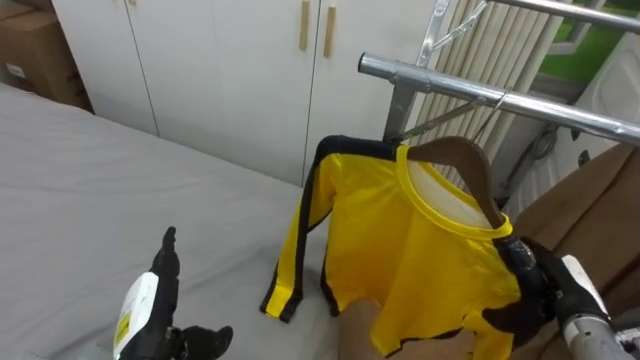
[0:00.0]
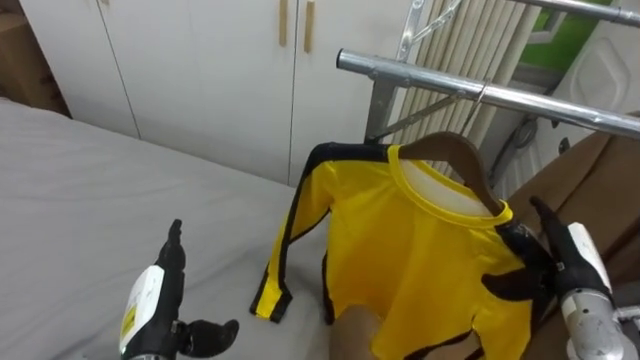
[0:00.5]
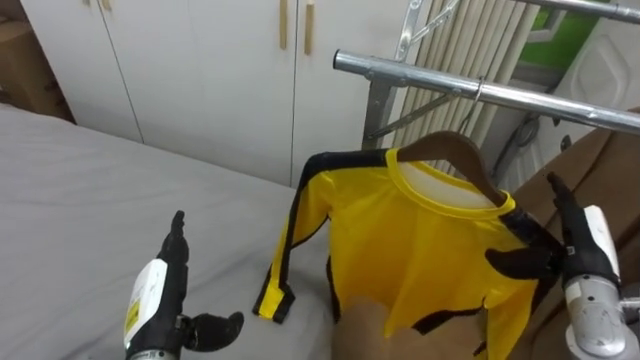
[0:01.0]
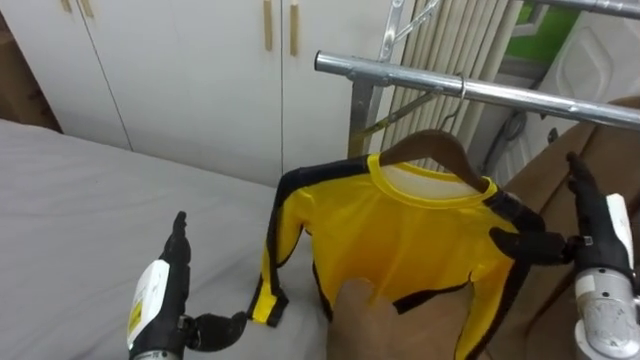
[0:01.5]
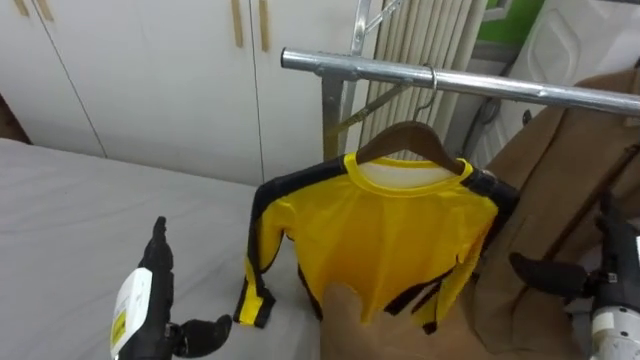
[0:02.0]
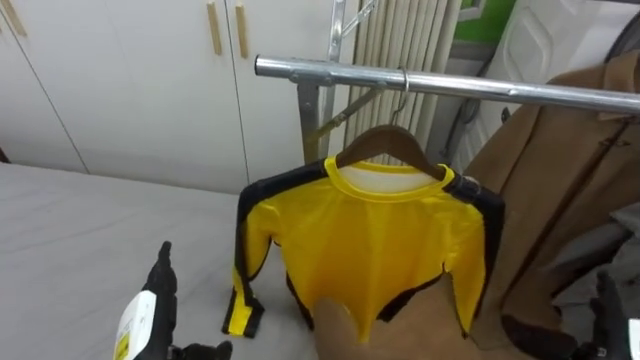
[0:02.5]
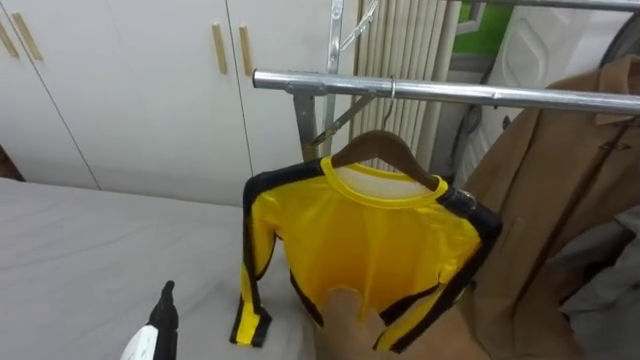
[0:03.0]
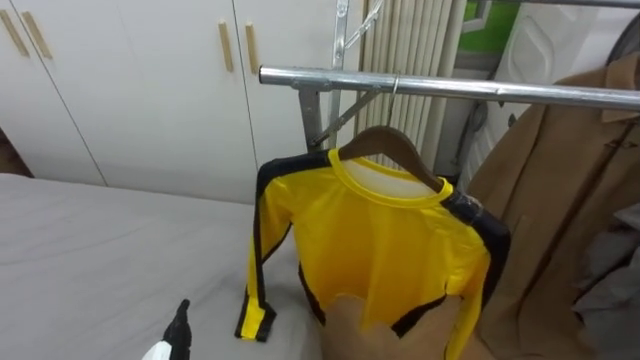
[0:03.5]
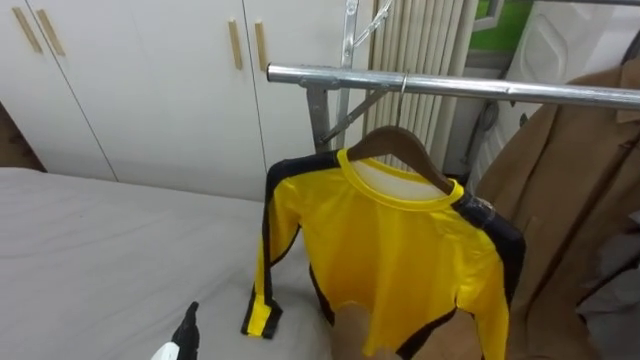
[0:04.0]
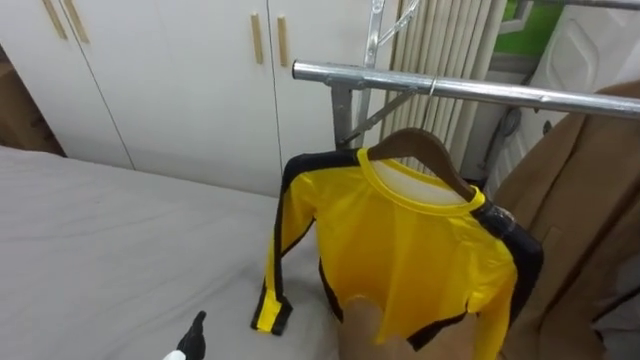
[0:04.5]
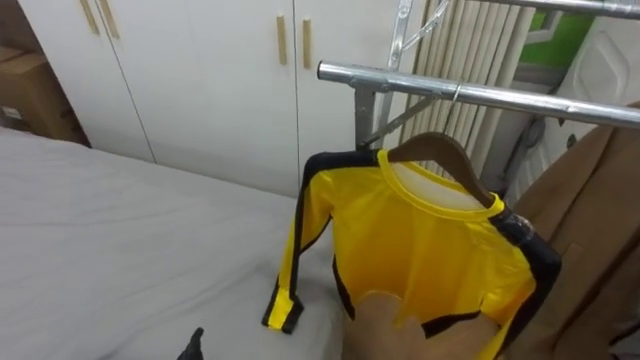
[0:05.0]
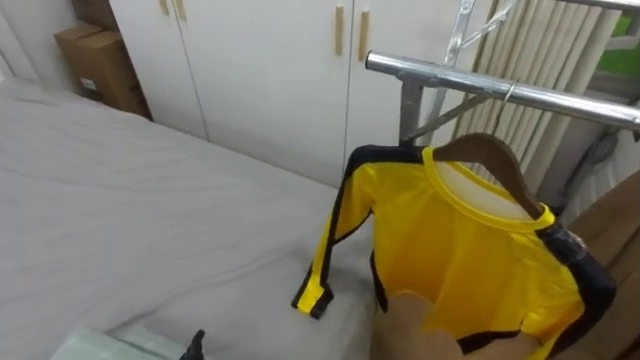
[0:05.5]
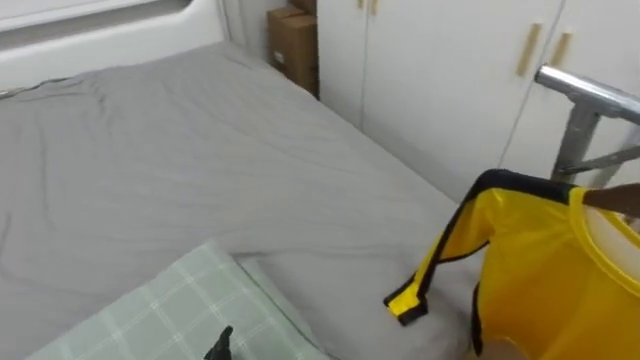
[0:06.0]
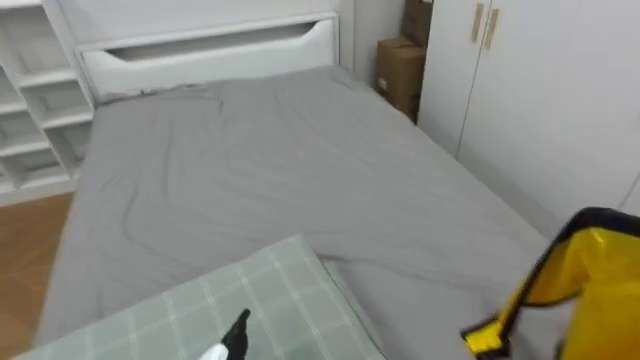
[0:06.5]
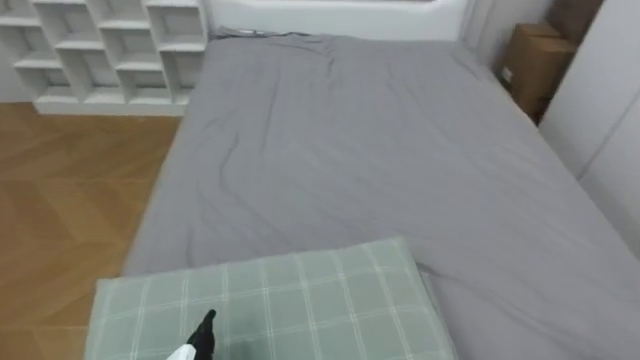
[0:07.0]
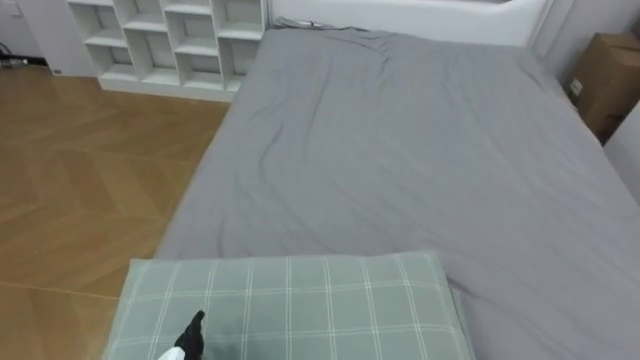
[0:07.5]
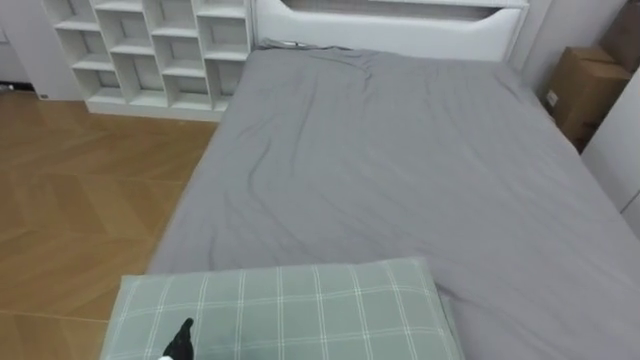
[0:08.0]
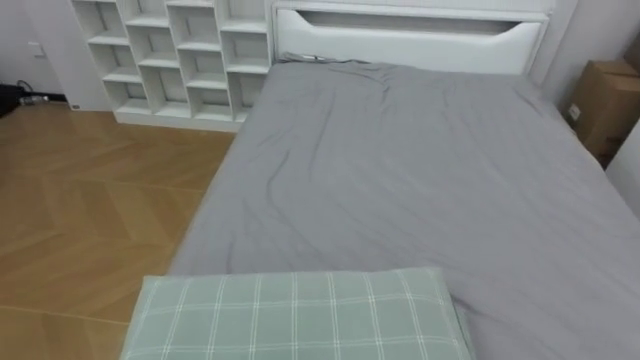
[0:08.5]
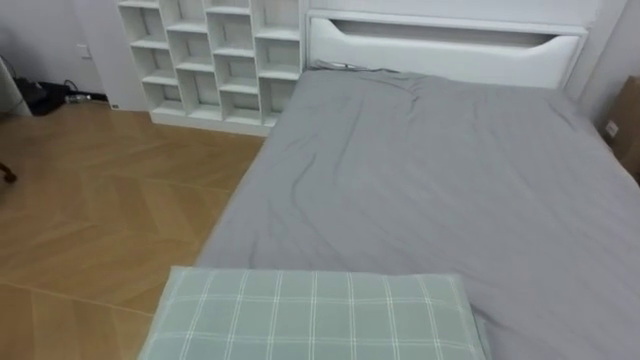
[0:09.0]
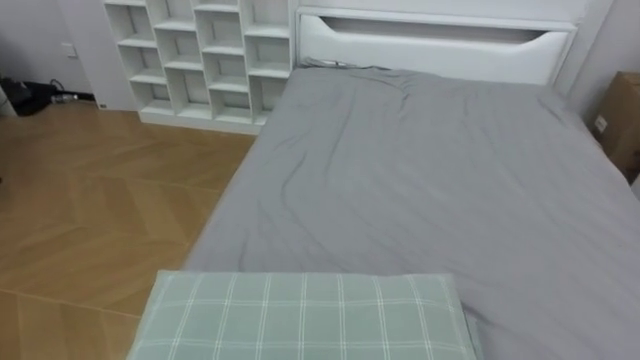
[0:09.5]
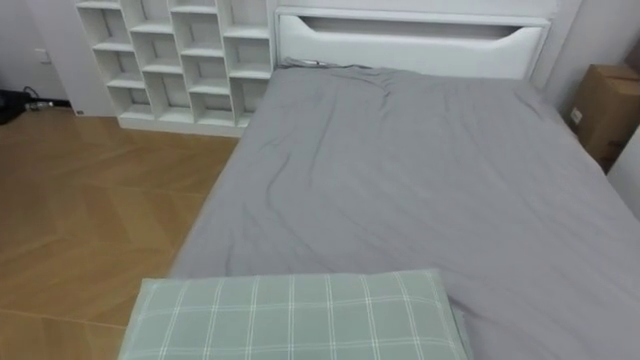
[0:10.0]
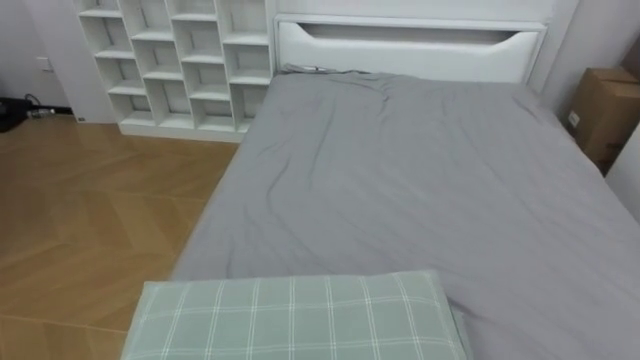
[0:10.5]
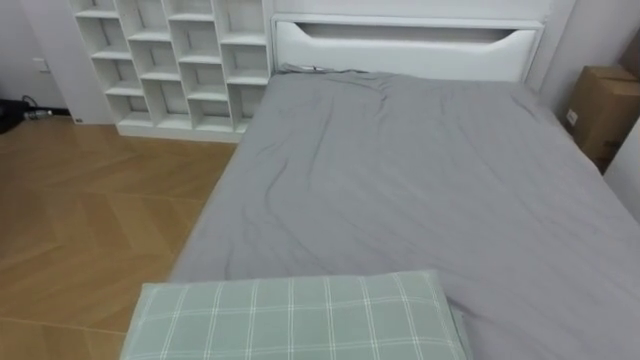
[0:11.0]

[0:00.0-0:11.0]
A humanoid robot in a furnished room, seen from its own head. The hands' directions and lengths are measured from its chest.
Task of the whole recording: Pick up the yellow shirt on the bed and hang it on the clothes rack on the right.
0:00.0 to 0:02.0: The right hand heads upward, covering approximately 5 cm.
0:05.5 to 0:07.5: The robot rotates about 70 degrees to its left.

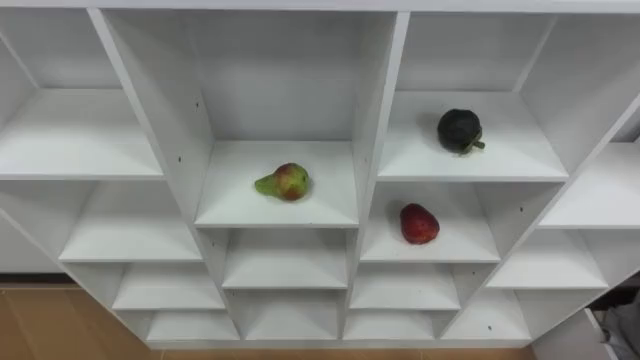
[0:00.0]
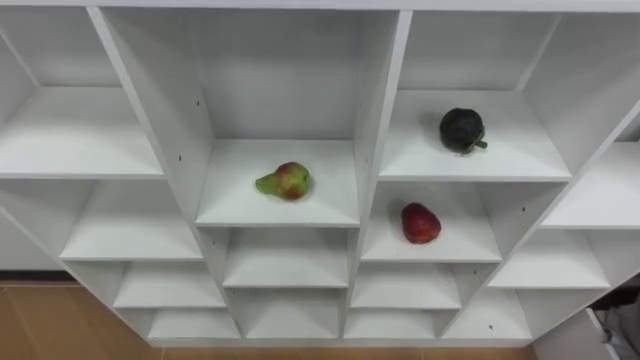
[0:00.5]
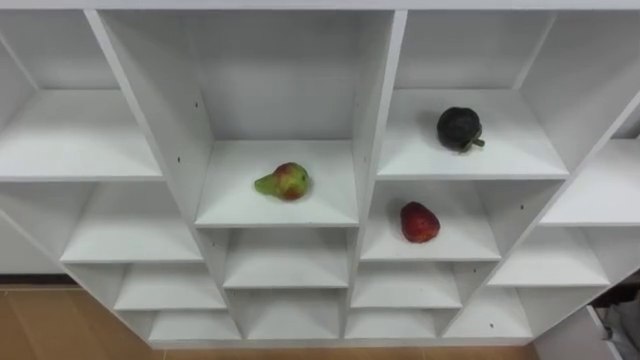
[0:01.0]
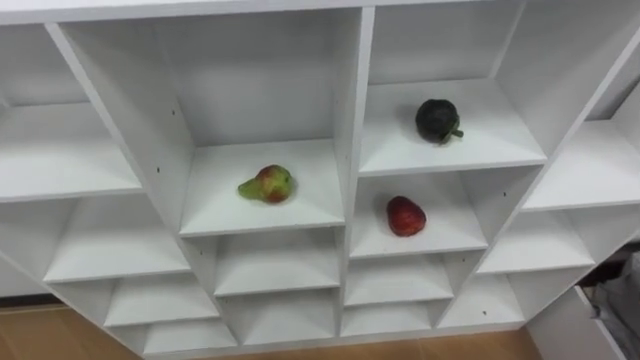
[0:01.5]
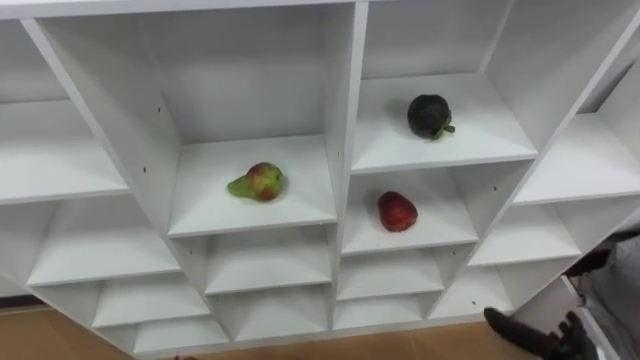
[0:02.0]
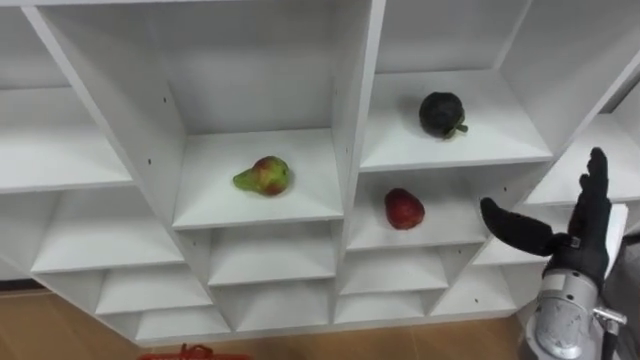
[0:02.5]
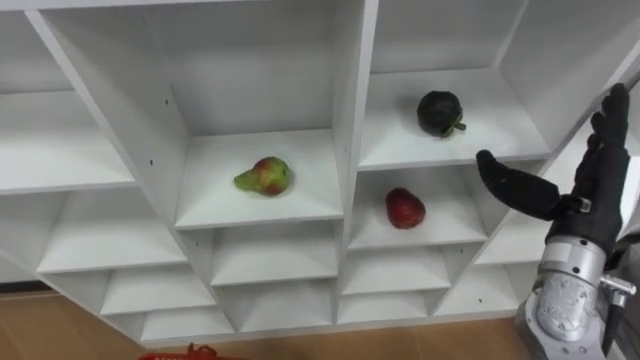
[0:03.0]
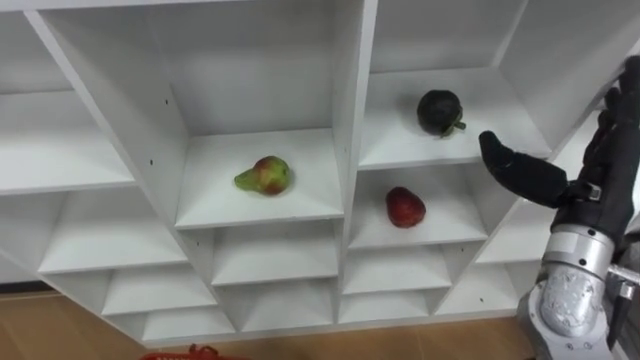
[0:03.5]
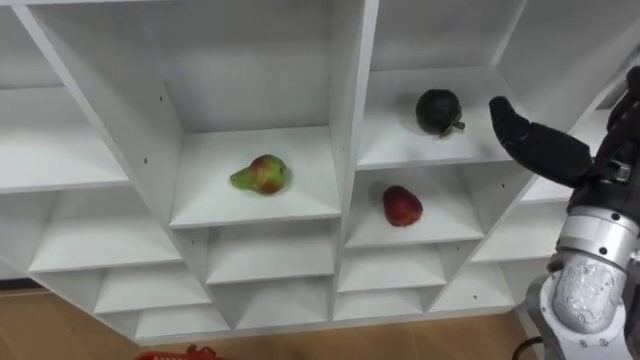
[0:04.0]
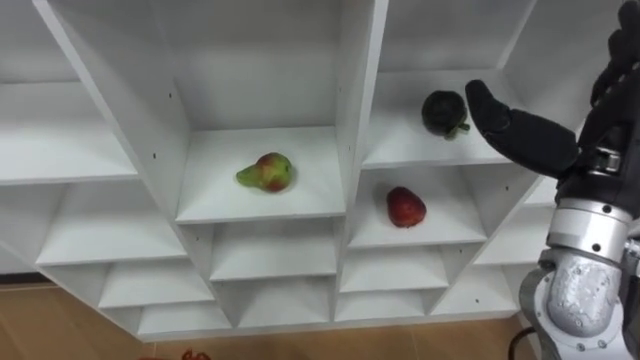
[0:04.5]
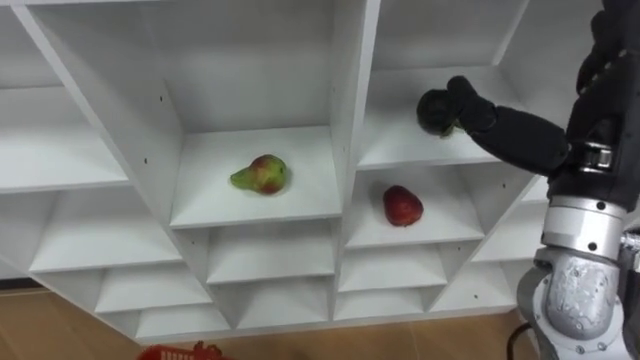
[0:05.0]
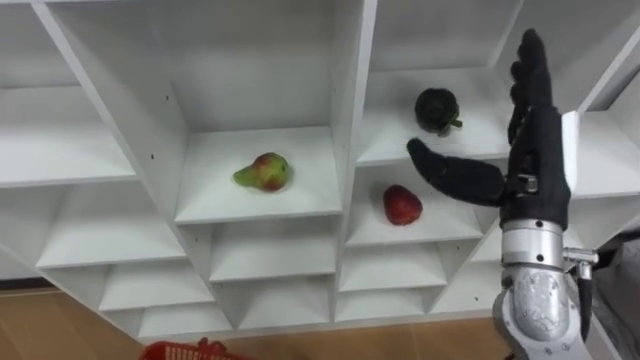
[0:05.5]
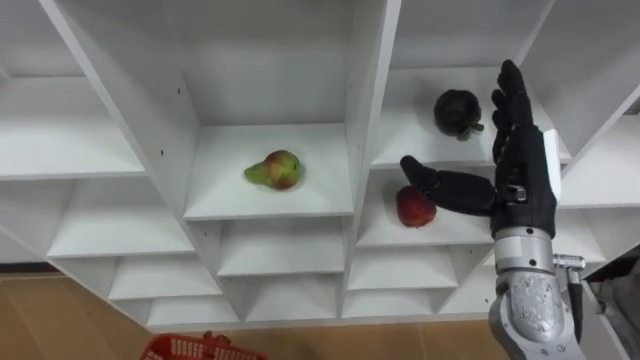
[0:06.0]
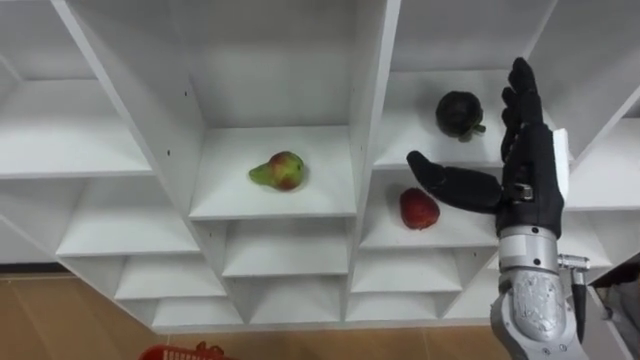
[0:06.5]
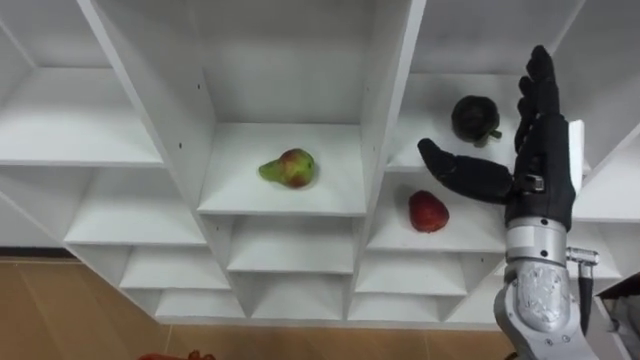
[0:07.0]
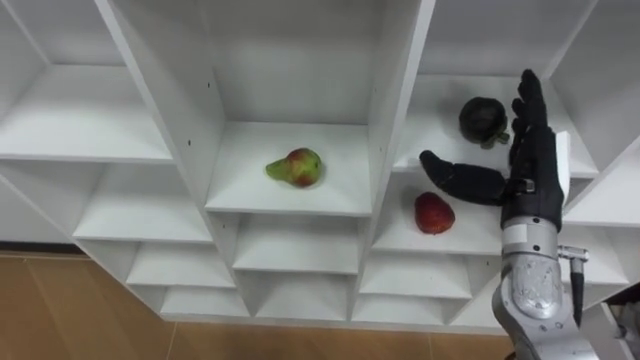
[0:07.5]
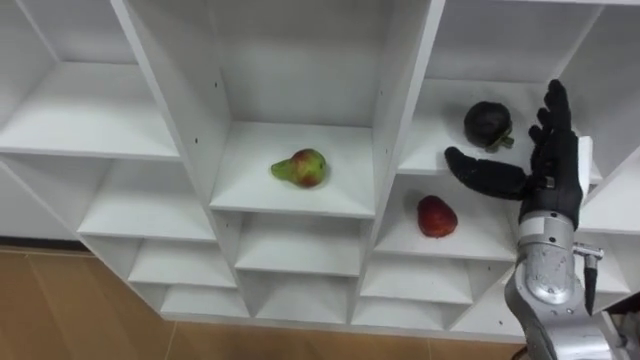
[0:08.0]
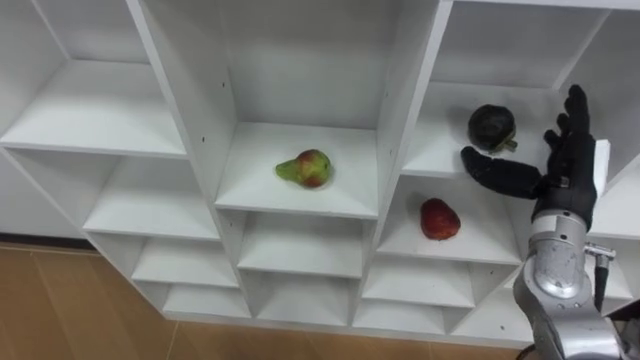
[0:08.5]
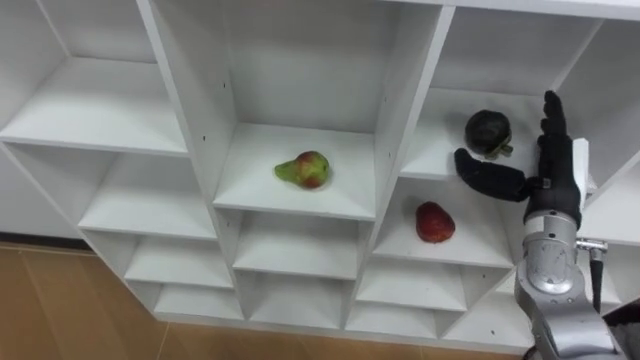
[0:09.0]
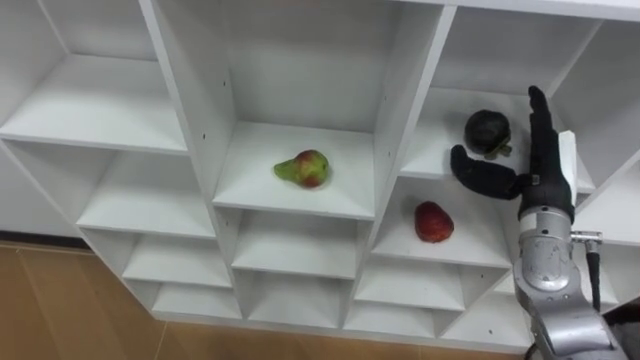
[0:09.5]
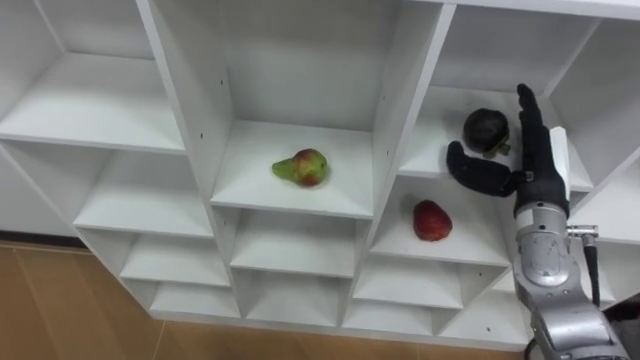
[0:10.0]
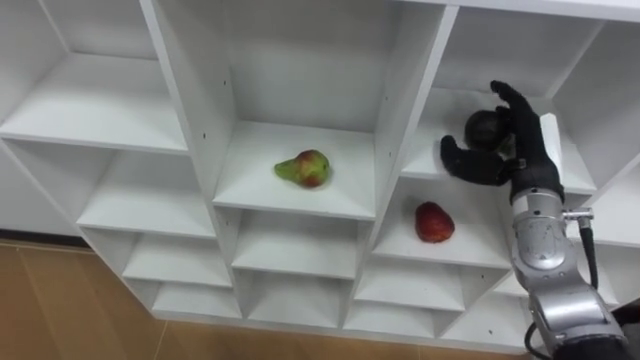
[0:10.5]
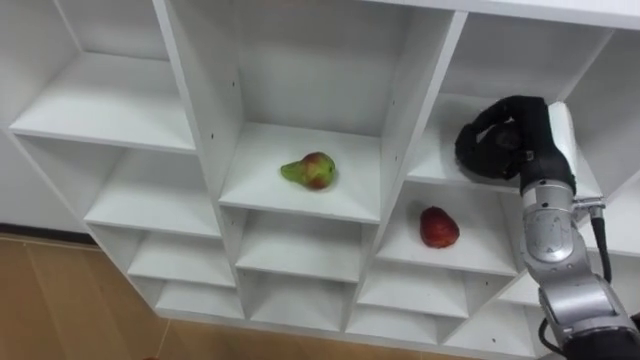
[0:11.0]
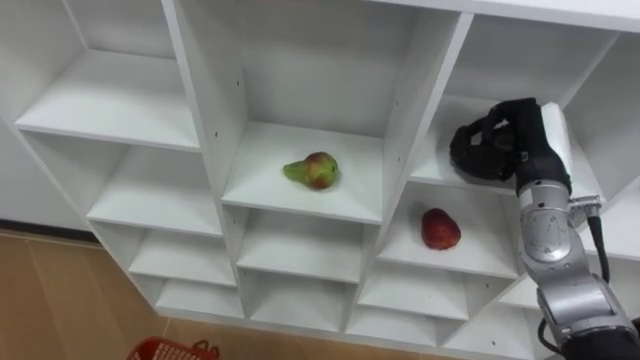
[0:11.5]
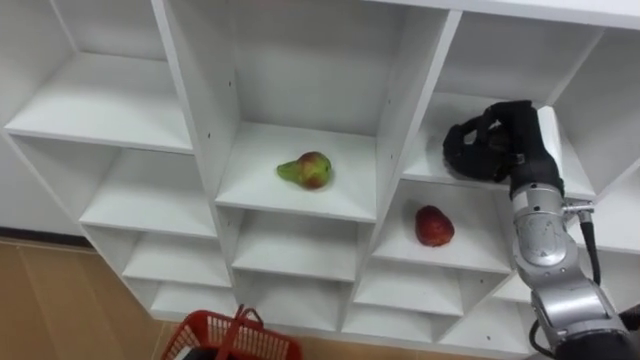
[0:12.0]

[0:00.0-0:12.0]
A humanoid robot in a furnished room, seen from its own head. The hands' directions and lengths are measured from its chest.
Task of the whole recording: Hold the basket and collect the fruits from 3 different cells of the closet into it.
0:04.0 to 0:06.0: The right hand goes about 10 cm to the left and downward.
0:06.0 to 0:08.0: The right hand moves to the right, approximately 5 cm.
0:10.0 to 0:12.0: The right hand closes its fingers.
